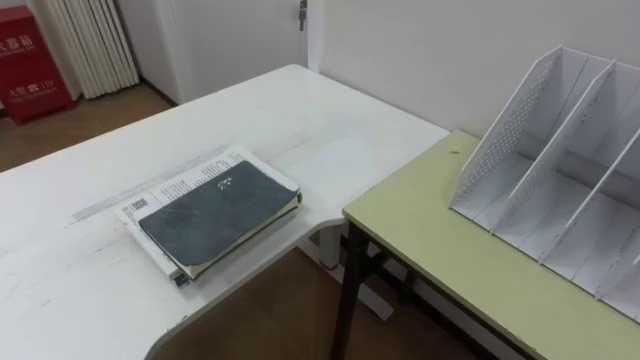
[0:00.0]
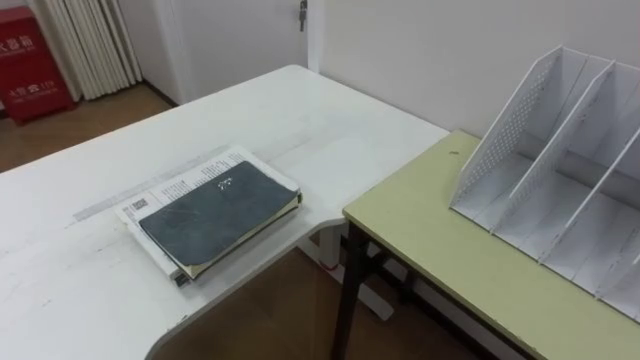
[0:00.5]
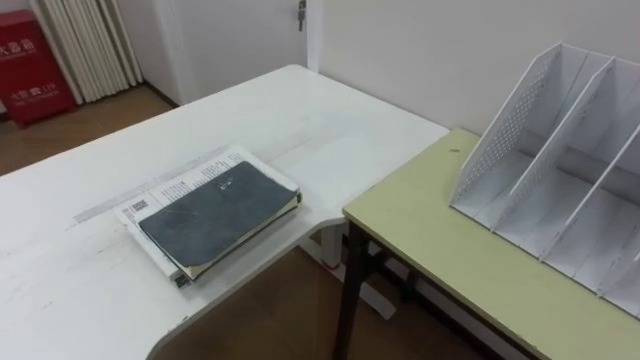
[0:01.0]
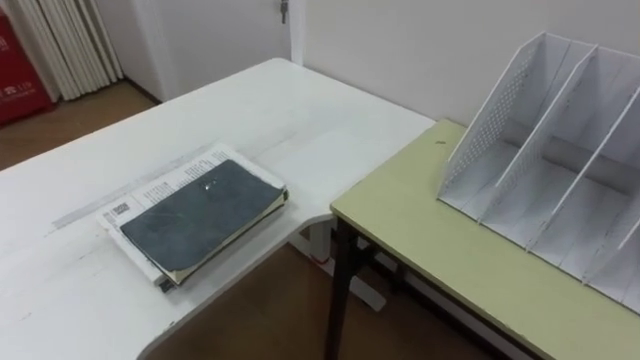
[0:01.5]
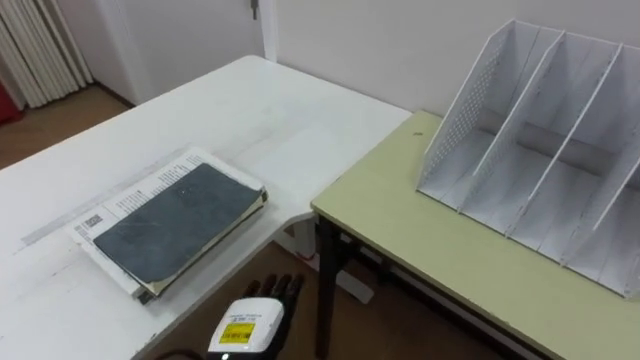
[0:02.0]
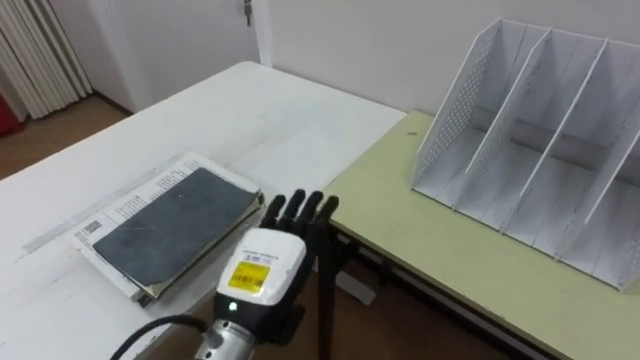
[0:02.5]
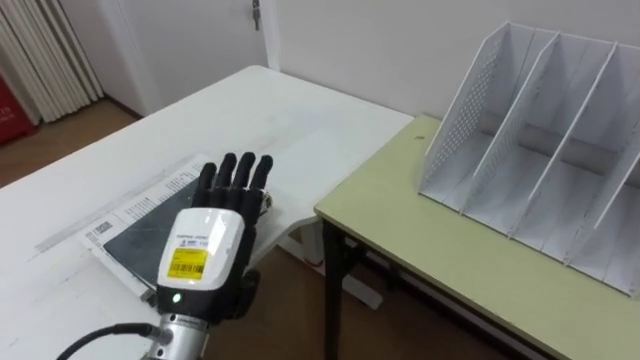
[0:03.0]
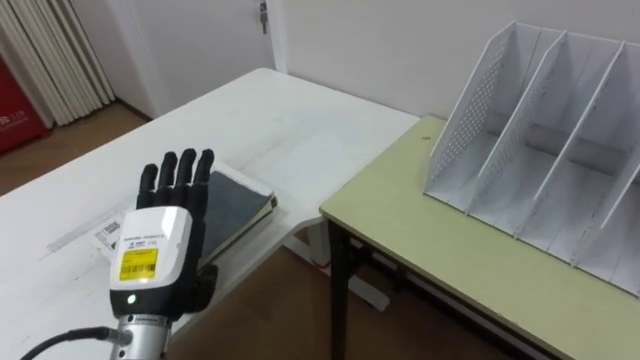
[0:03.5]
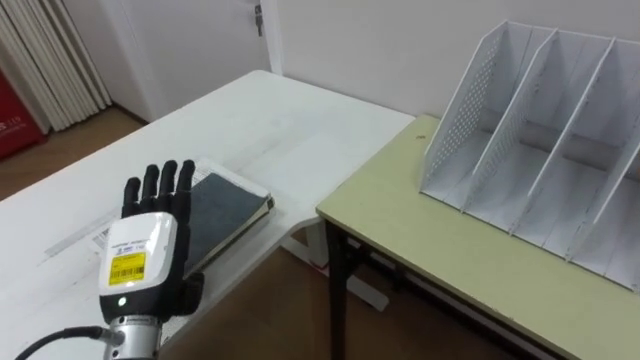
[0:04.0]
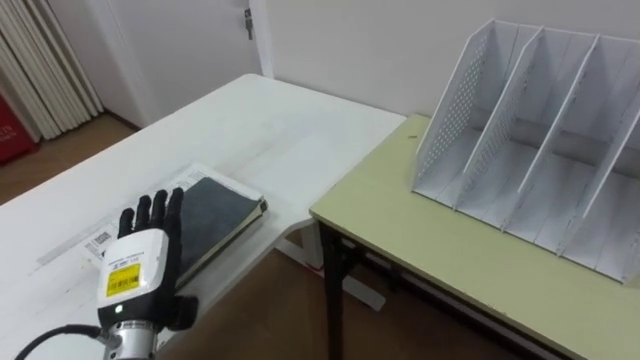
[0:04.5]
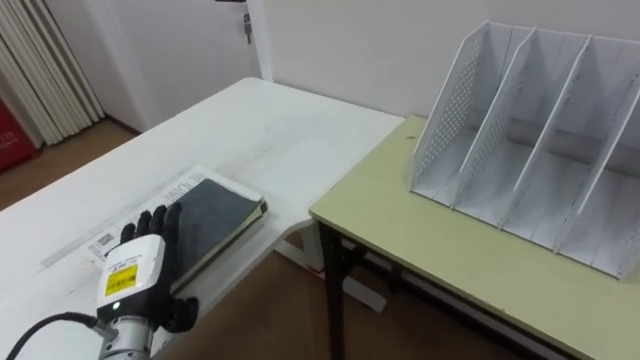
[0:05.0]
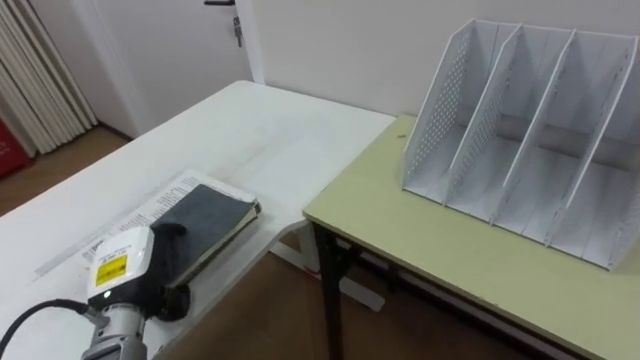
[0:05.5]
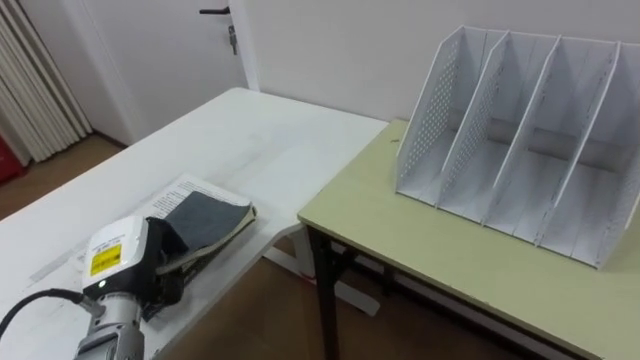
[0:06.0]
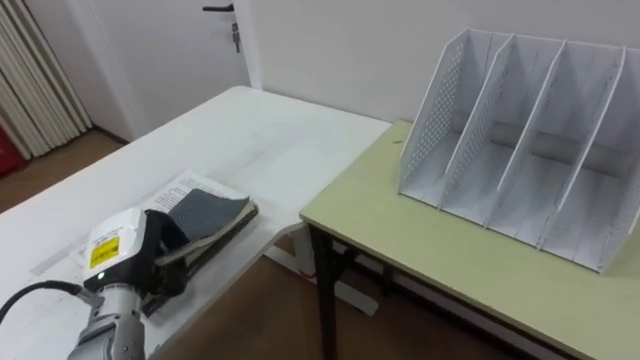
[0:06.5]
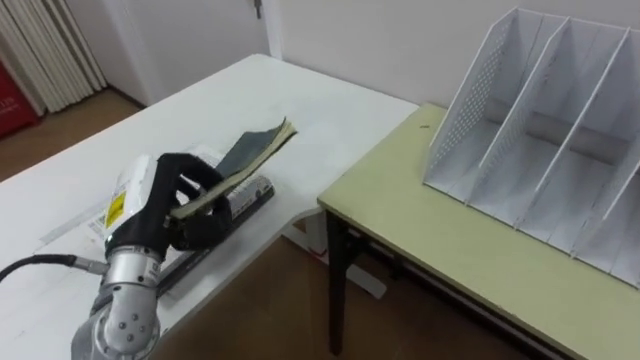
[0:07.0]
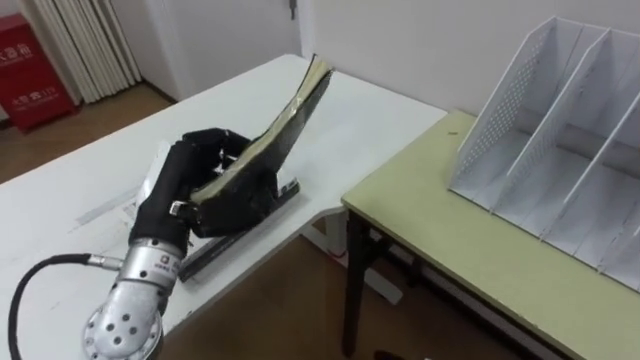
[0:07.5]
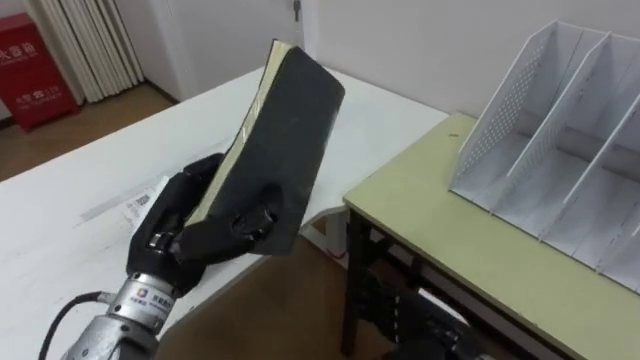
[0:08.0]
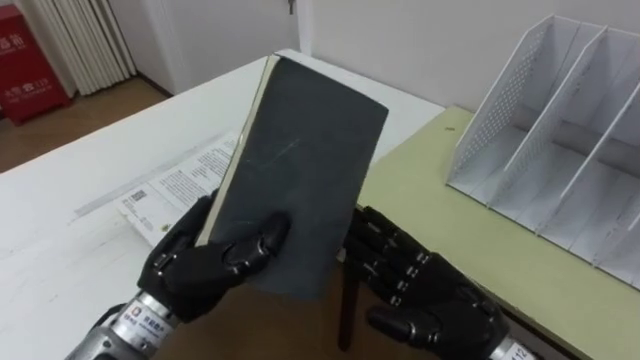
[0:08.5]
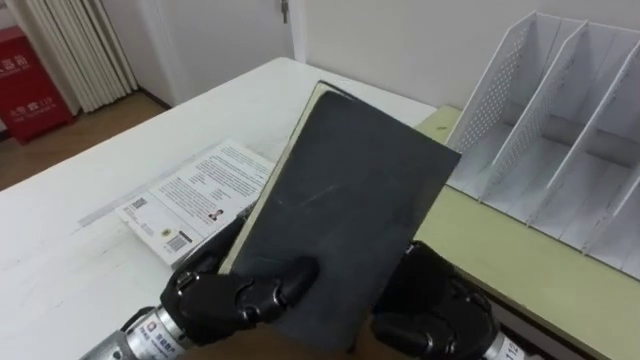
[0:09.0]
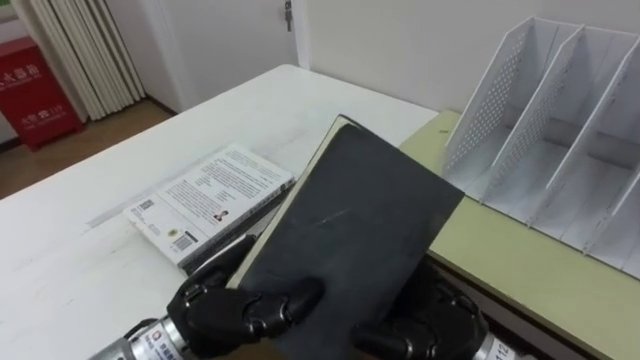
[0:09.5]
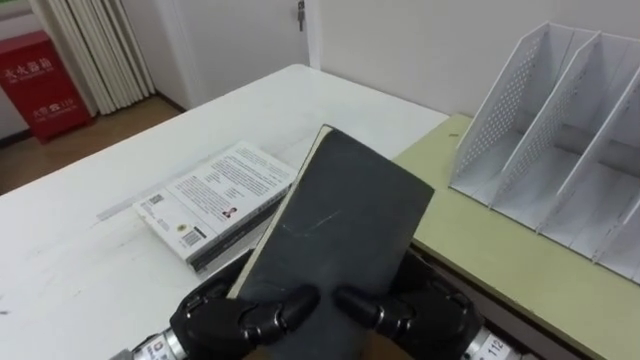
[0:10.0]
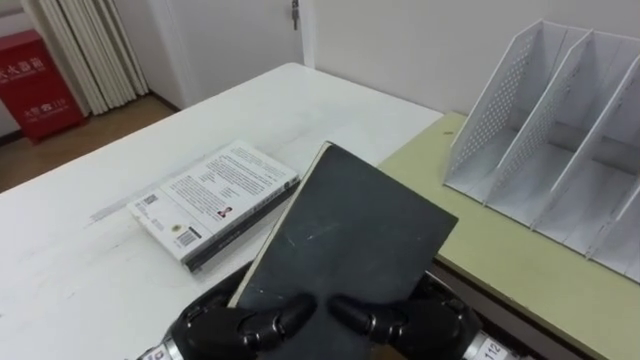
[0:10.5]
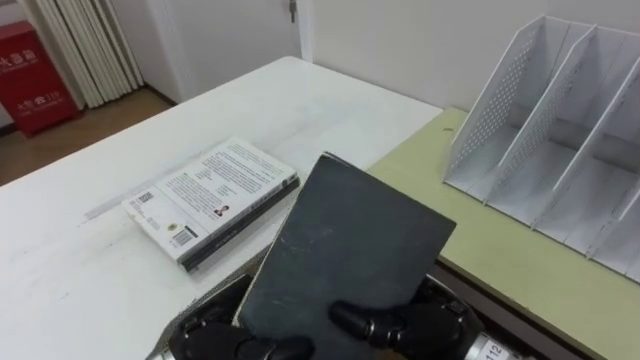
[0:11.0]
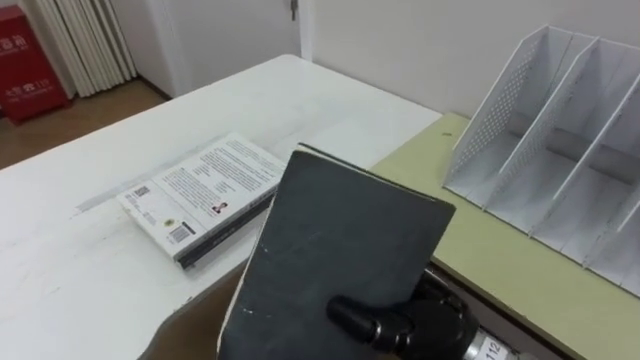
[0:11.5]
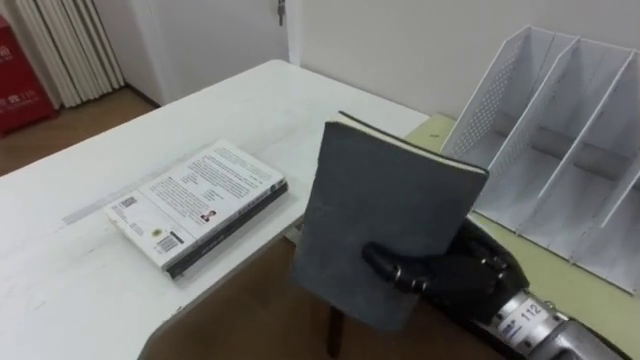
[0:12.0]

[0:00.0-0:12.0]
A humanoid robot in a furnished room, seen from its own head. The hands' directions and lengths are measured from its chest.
Task of the whole recording: Put the books on the table onto the bookshelf.
0:02.0 to 0:04.0: The left hand goes roughly 15 cm upward and to the left.
0:04.0 to 0:06.0: The left hand moves some 5 cm, and closes.
0:06.0 to 0:08.0: The left hand goes roughly 15 cm upward and to the right.
0:08.0 to 0:10.0: The left hand shifts approximately 10 cm to the right, backward and downward. The right hand moves upward, about 10 cm, and closes.
0:10.0 to 0:12.0: The right hand shifts by roughly 5 cm, and closes its fingers.

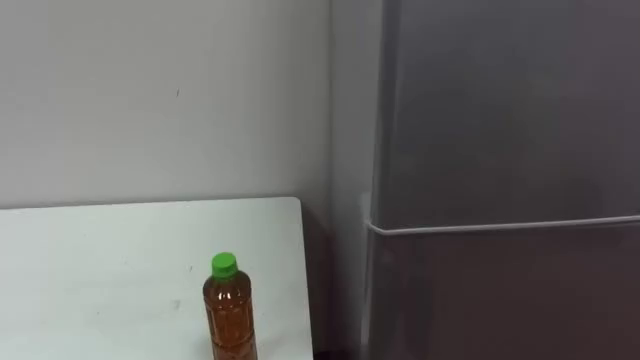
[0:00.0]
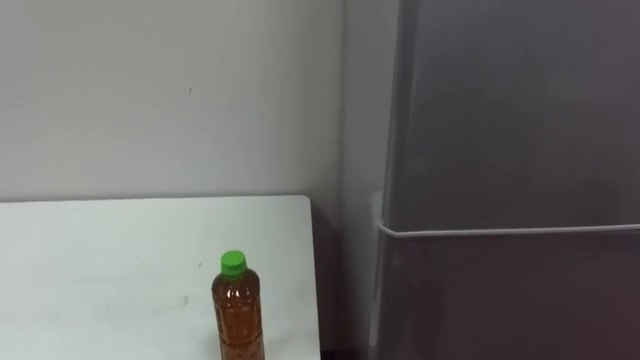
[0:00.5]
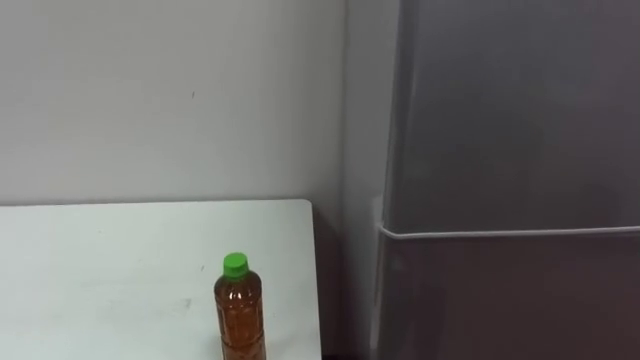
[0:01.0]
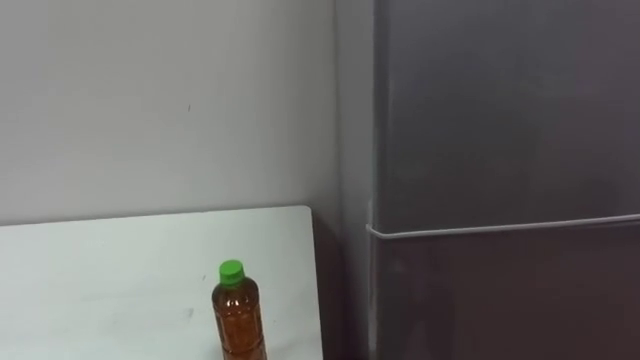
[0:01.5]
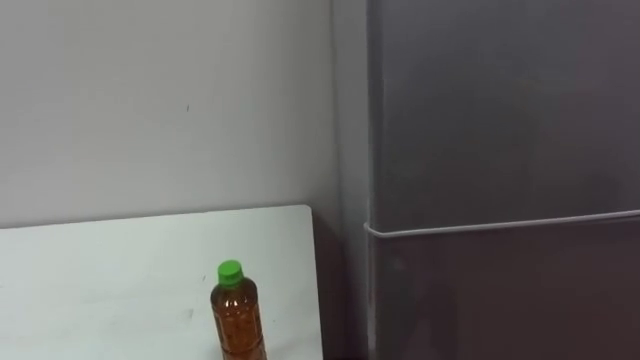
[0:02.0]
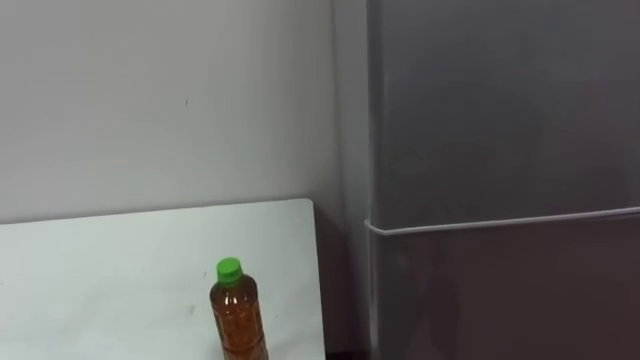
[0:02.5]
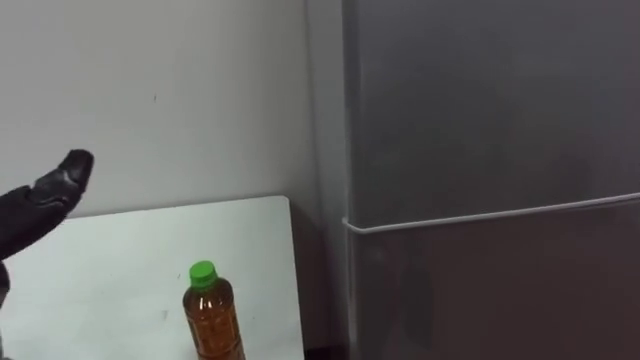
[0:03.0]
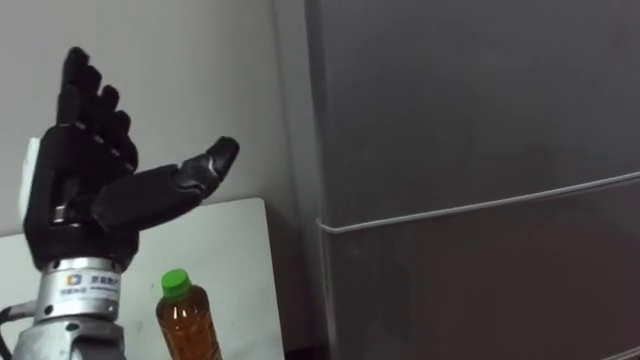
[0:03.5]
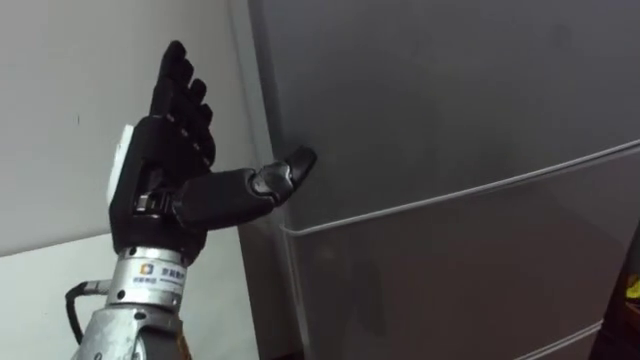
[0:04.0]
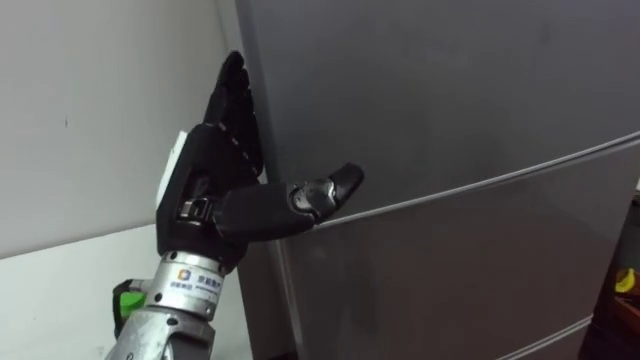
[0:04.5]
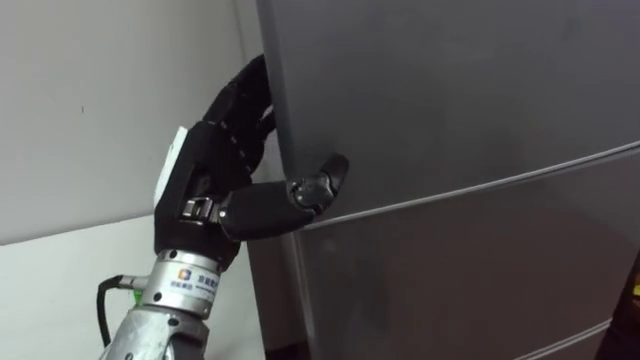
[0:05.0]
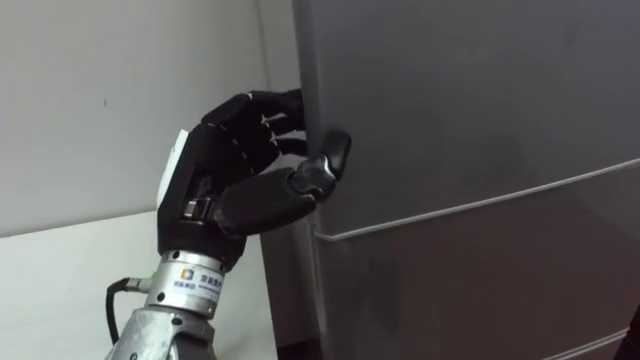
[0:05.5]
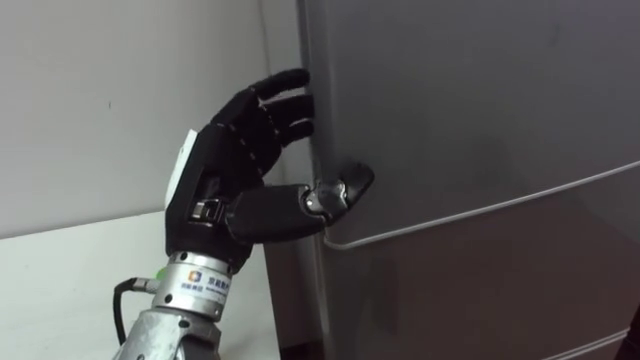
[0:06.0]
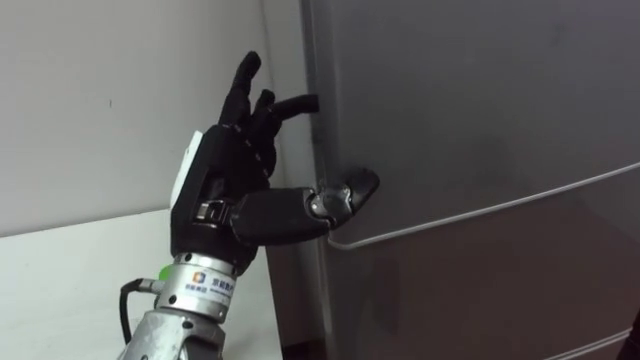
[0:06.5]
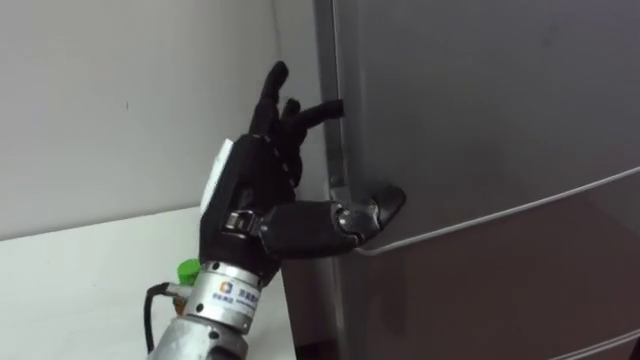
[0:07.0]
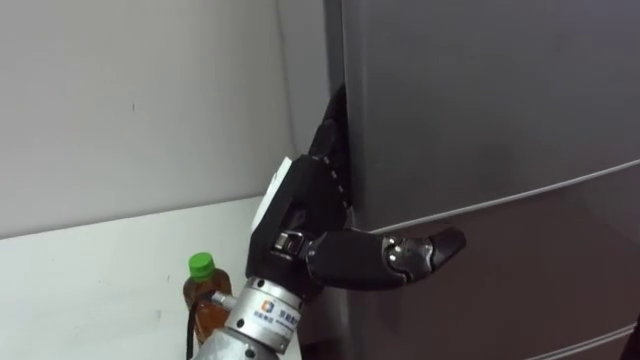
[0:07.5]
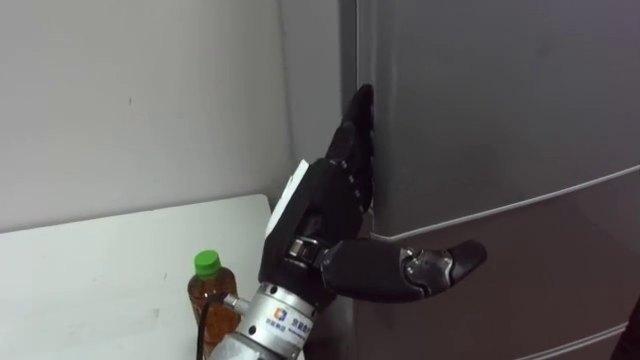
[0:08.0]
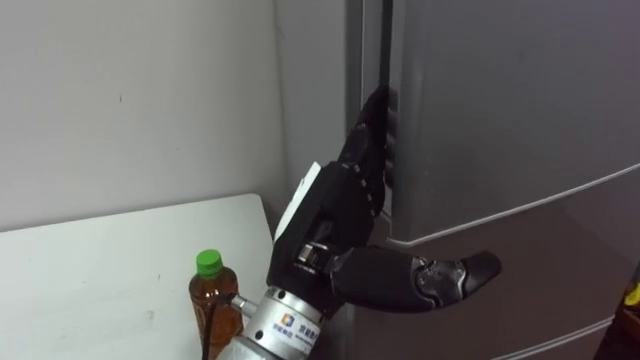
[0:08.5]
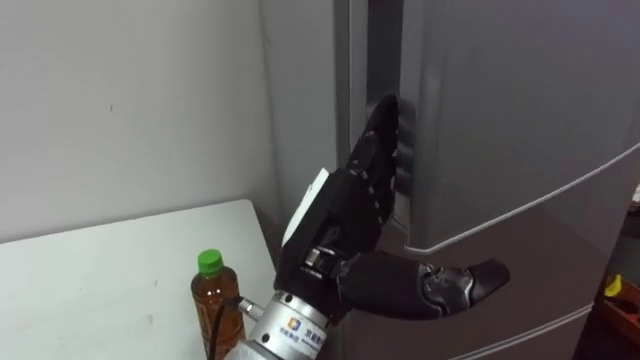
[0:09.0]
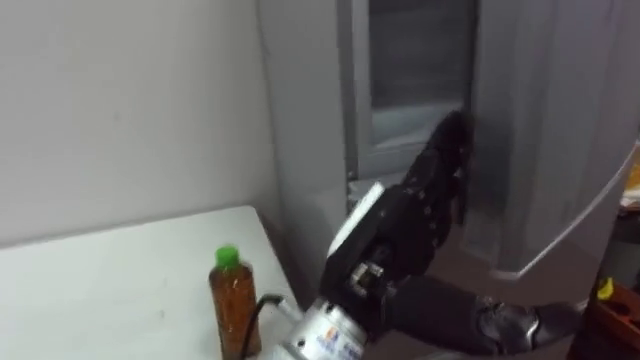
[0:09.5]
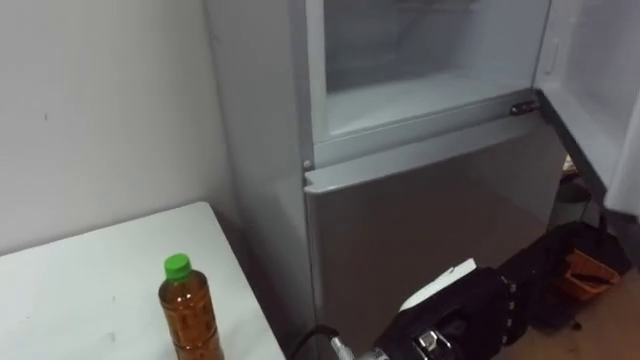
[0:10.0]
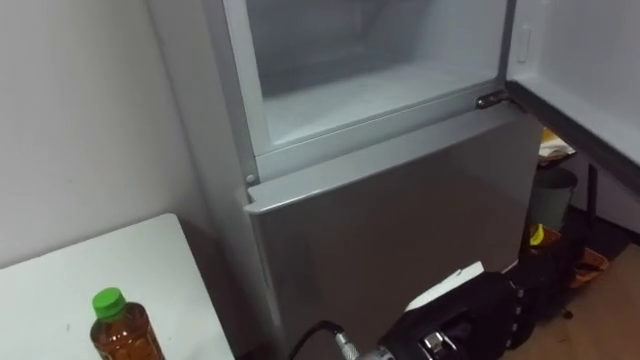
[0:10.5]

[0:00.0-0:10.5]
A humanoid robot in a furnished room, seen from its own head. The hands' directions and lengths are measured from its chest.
Task of the whole recording: Open the upper refrigerator door, put the drink from the table into the refrigerator, and then close the refrigerator door.
0:04.0 to 0:06.5: The left hand shifts some 5 cm to the right, and closes and opens again.
0:06.5 to 0:08.5: The left hand heads to the right, covering approximately 10 cm.
0:08.5 to 0:10.5: The left hand travels to the right by about 10 cm.
